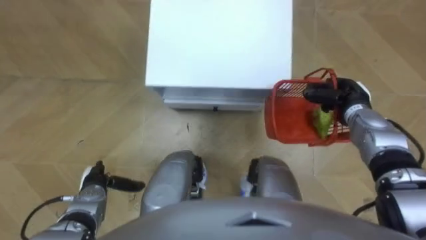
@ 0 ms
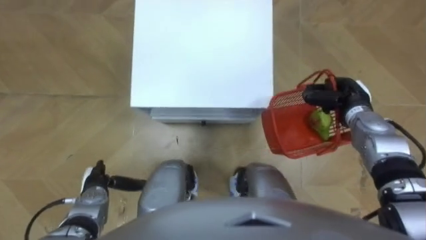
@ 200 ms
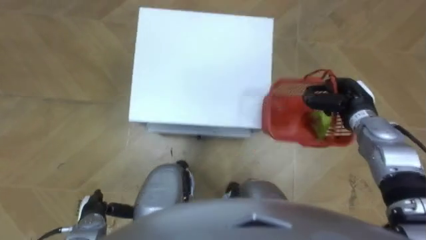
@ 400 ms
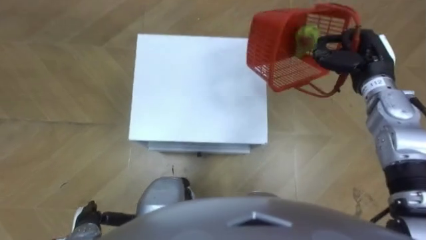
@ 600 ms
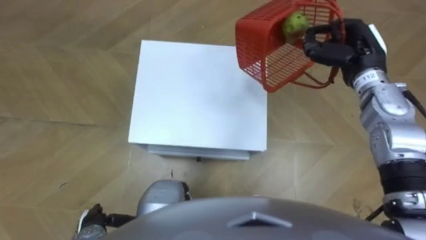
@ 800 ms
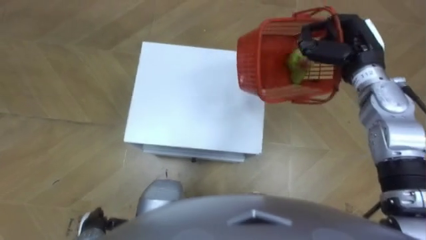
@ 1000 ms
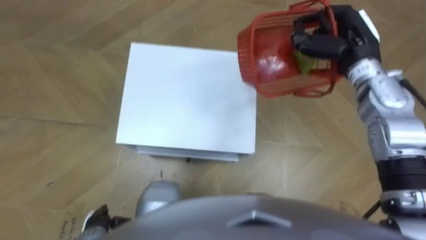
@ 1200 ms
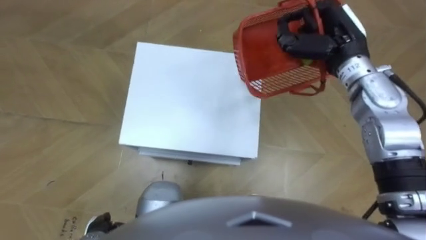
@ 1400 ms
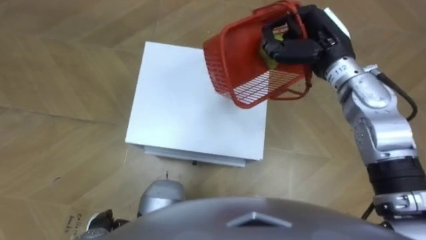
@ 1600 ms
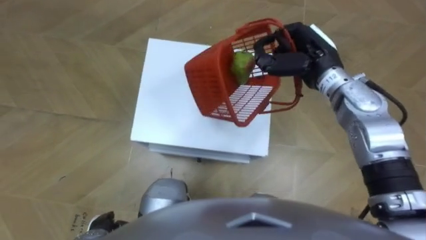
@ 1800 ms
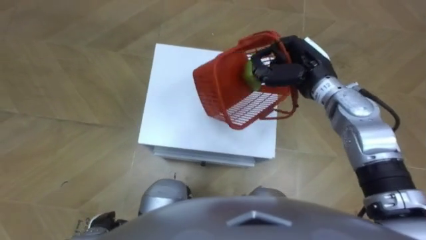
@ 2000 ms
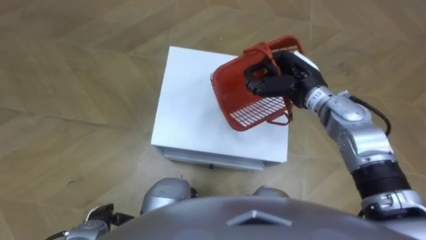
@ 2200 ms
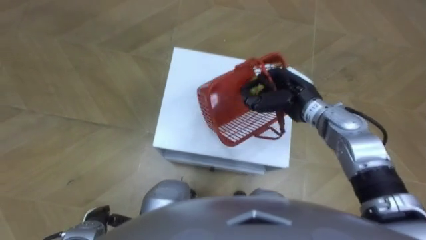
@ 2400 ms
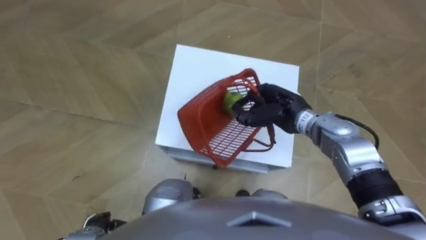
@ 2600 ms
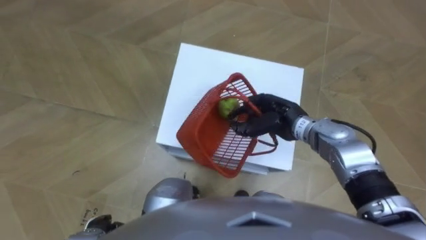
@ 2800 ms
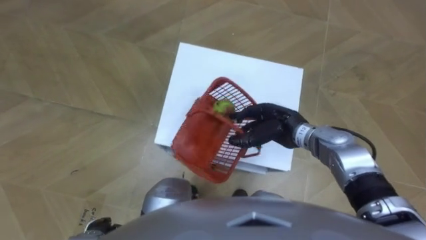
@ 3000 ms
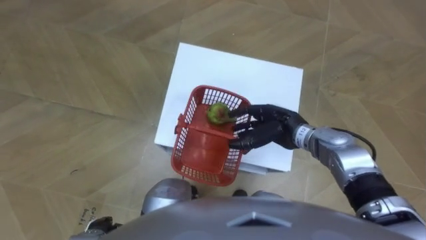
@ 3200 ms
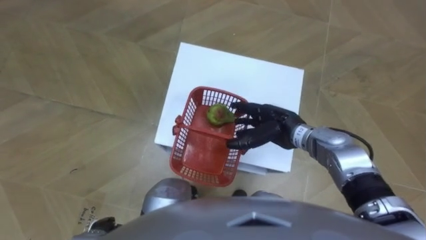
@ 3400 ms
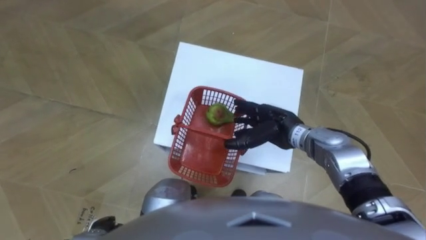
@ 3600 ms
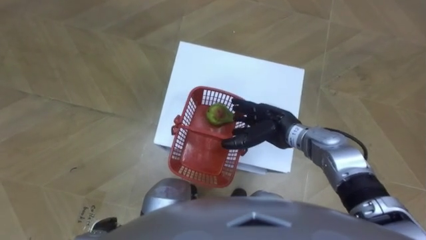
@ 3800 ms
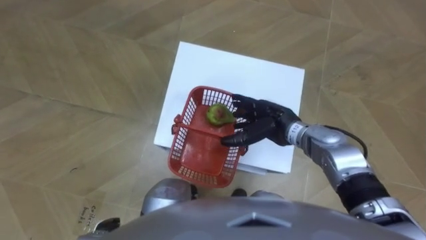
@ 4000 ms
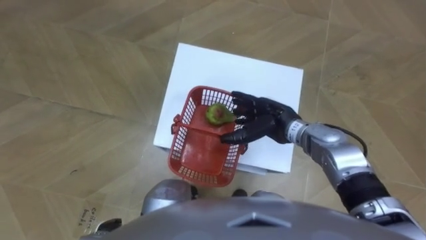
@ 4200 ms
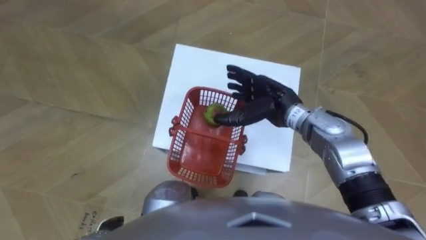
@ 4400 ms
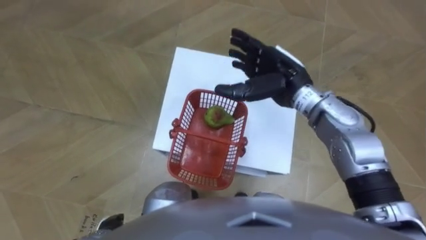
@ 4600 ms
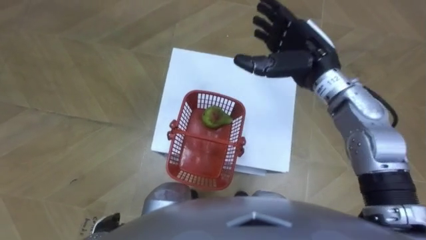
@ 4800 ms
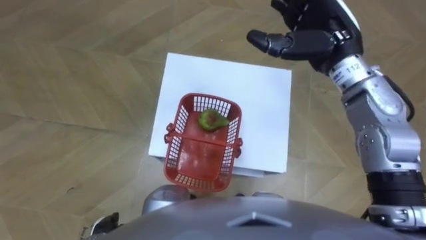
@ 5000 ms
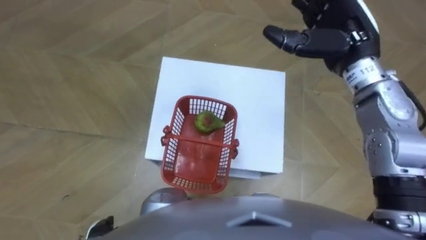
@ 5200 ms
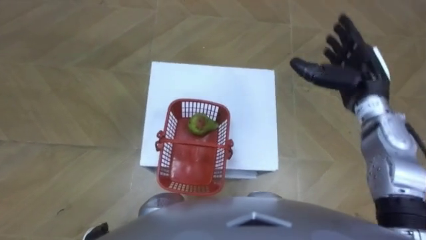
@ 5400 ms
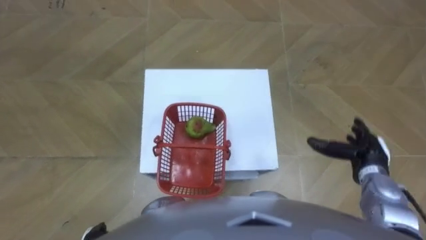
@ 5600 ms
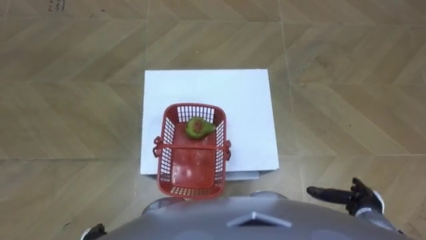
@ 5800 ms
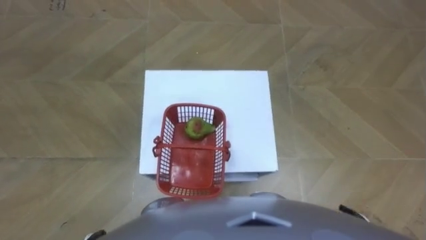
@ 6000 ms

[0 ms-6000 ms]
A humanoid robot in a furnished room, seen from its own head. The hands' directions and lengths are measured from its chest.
Task of the whole recording: Pick up the fruit basket from the floor and place it on the cabinet.
0 ms to 1600 ms: The left hand shifts roughly 10 cm backward. Meanwhile the right hand shifts approximately 20 cm upward and to the left.
1600 ms to 3000 ms: The right hand moves downward and backward, some 15 cm, and opens up.
3000 ms to 4400 ms: The right hand moves upward, roughly 5 cm, and opens its fingers.
4400 ms to 6000 ms: The right hand travels backward, to the right and downward by roughly 35 cm.

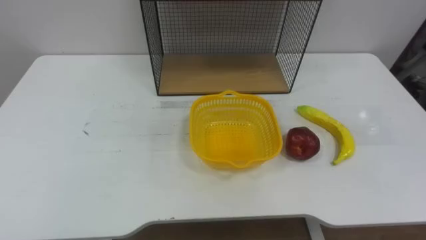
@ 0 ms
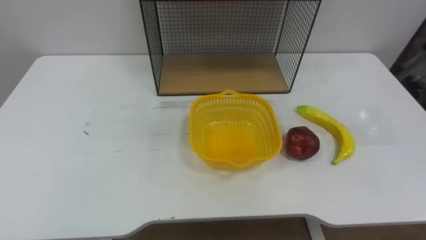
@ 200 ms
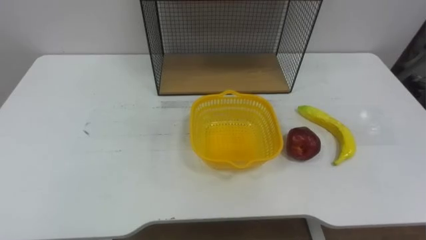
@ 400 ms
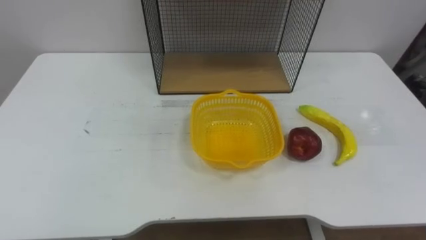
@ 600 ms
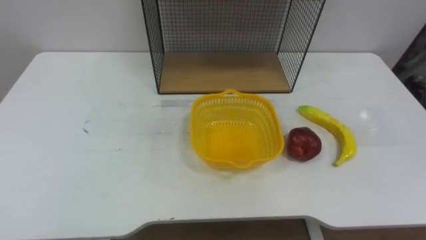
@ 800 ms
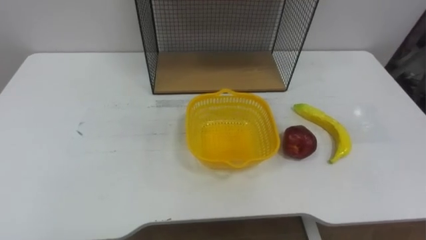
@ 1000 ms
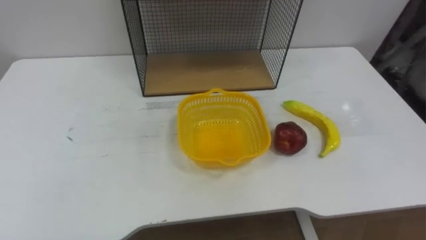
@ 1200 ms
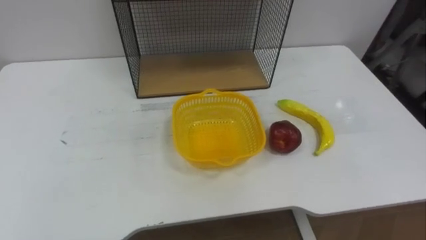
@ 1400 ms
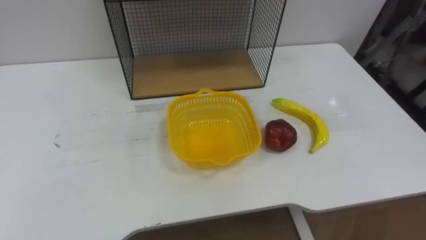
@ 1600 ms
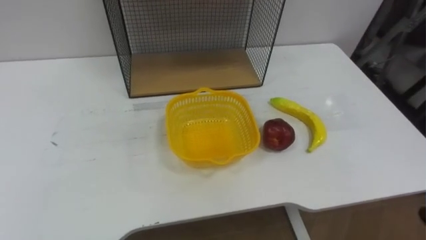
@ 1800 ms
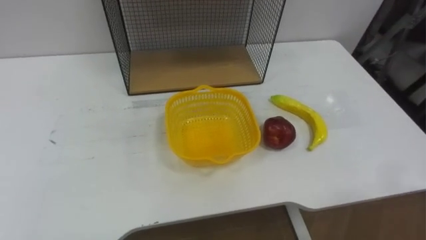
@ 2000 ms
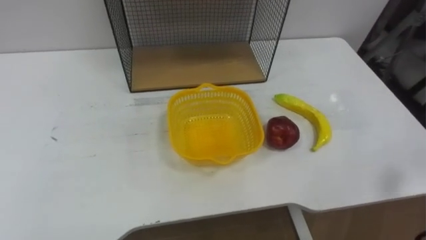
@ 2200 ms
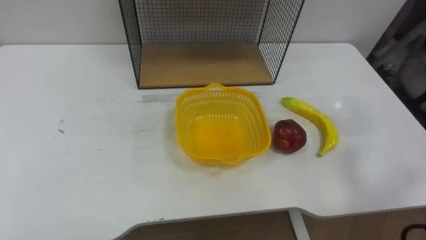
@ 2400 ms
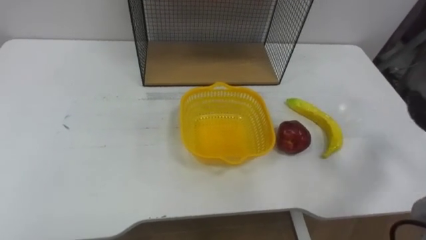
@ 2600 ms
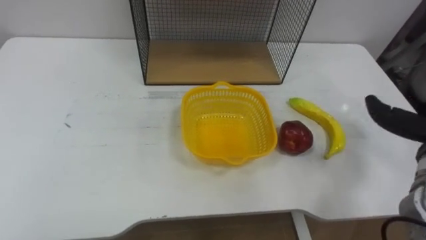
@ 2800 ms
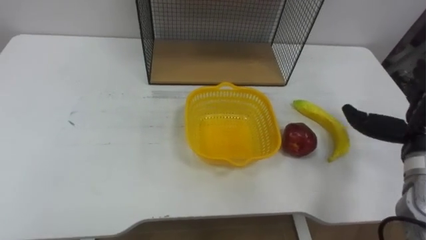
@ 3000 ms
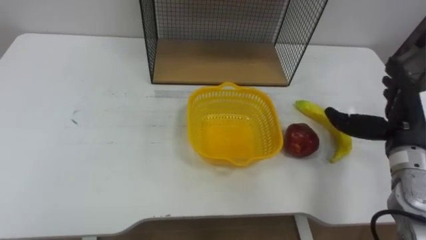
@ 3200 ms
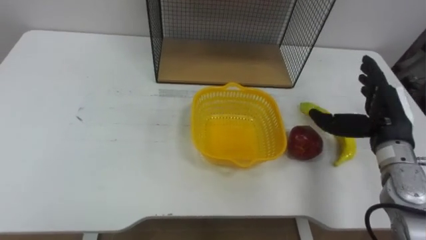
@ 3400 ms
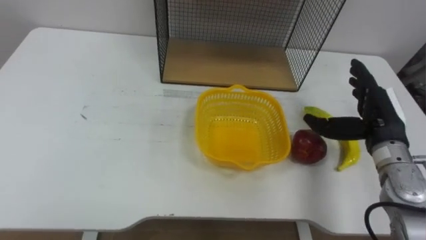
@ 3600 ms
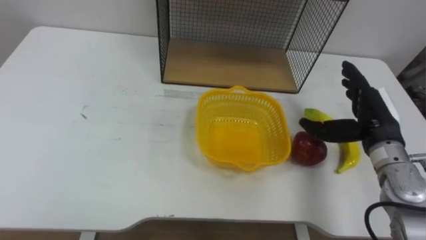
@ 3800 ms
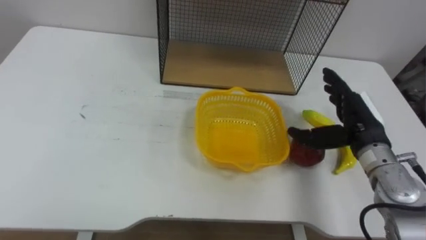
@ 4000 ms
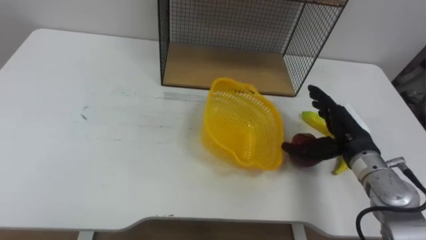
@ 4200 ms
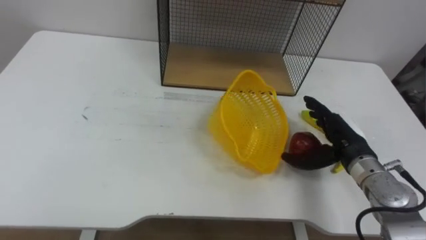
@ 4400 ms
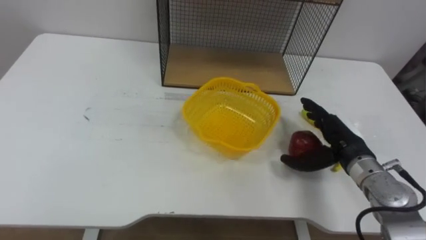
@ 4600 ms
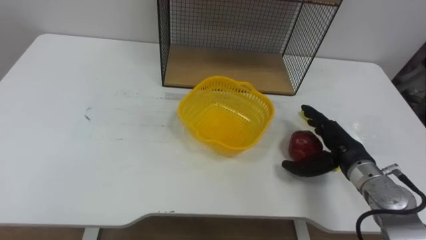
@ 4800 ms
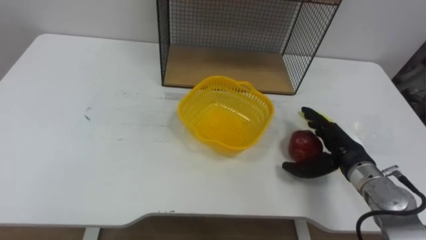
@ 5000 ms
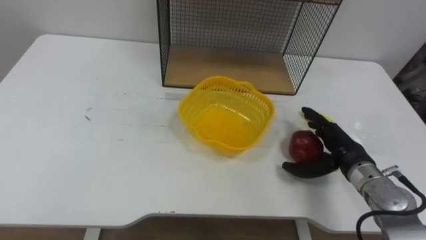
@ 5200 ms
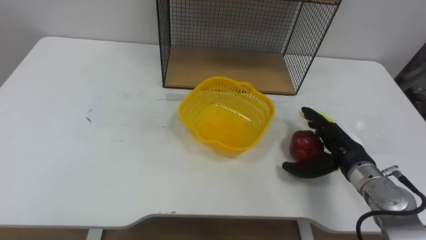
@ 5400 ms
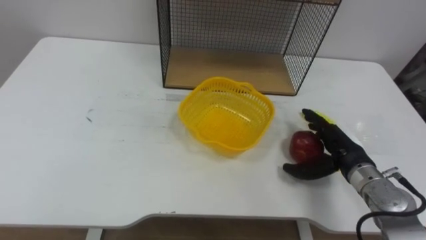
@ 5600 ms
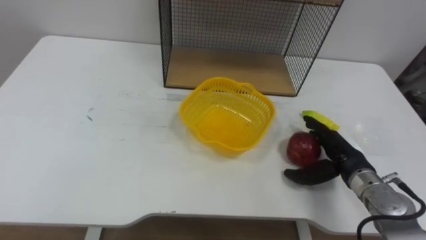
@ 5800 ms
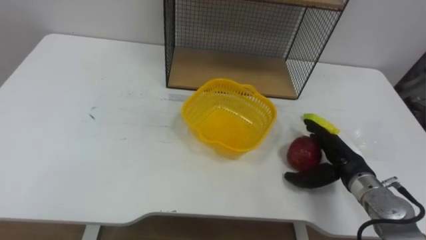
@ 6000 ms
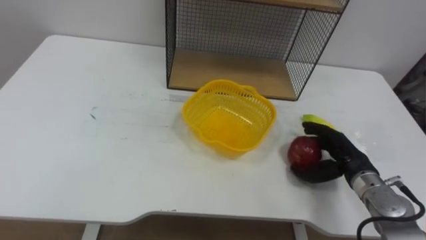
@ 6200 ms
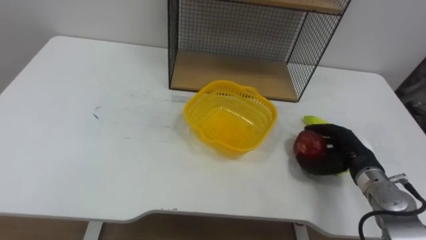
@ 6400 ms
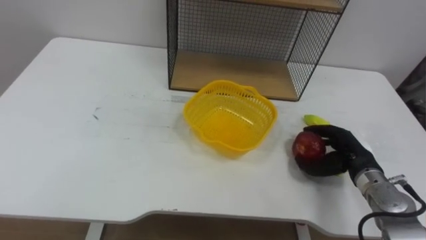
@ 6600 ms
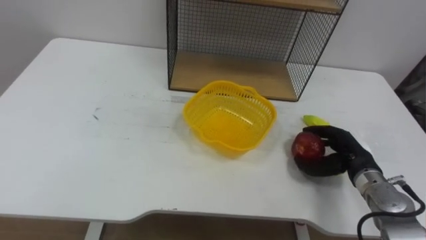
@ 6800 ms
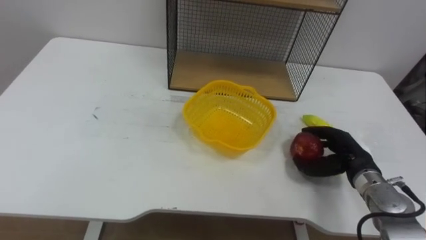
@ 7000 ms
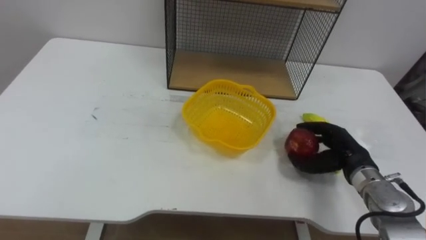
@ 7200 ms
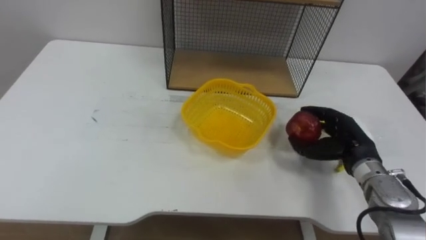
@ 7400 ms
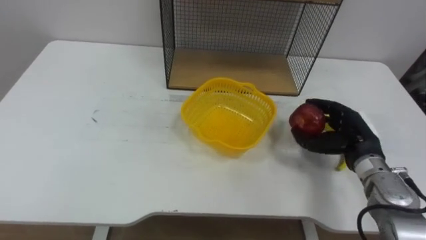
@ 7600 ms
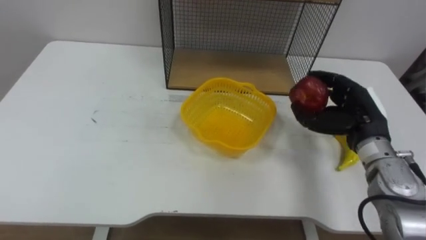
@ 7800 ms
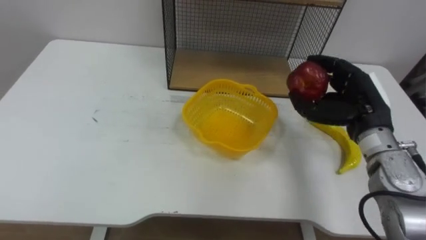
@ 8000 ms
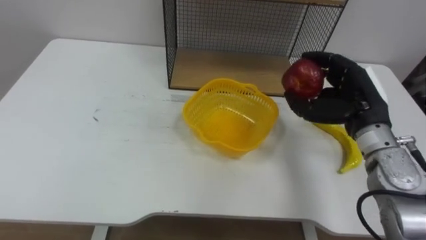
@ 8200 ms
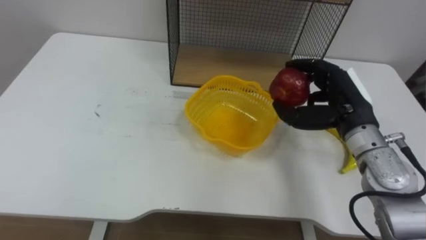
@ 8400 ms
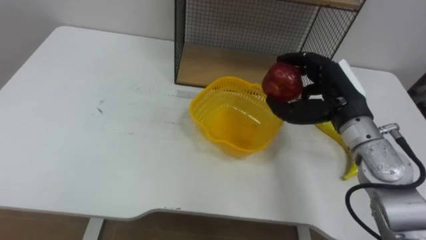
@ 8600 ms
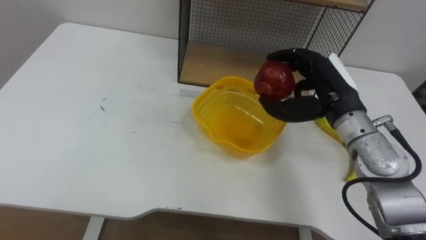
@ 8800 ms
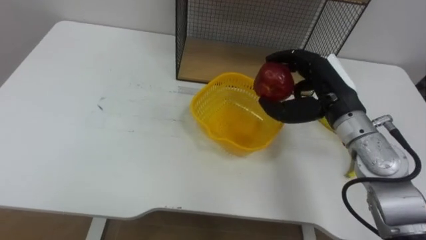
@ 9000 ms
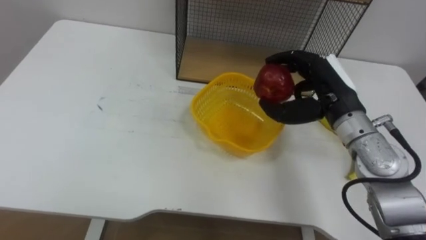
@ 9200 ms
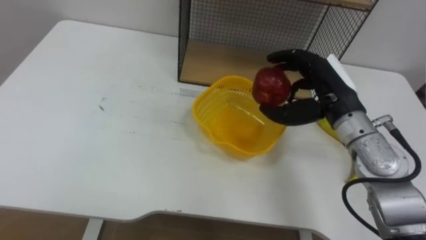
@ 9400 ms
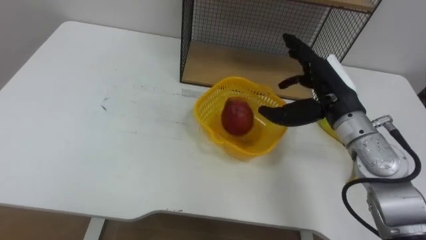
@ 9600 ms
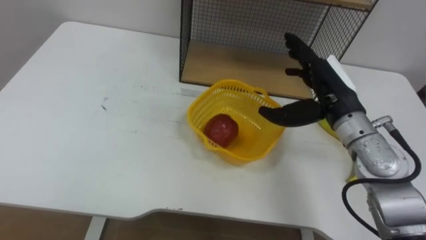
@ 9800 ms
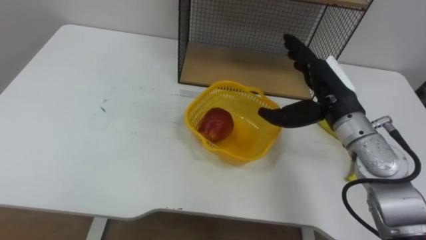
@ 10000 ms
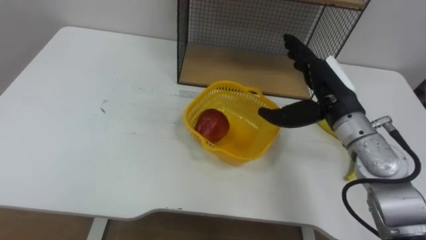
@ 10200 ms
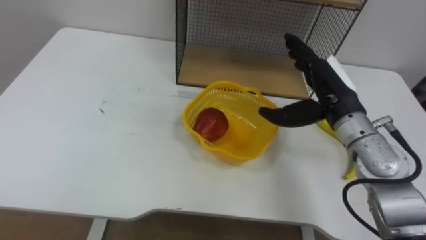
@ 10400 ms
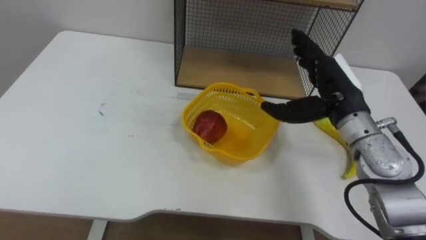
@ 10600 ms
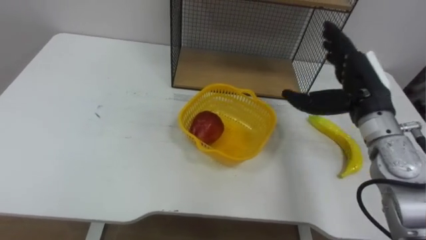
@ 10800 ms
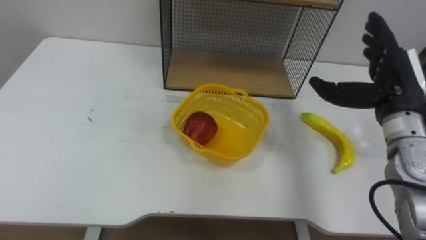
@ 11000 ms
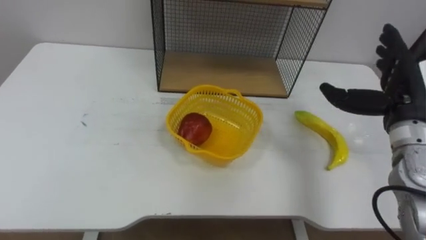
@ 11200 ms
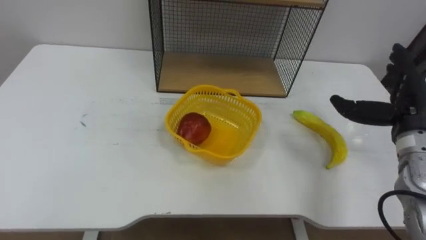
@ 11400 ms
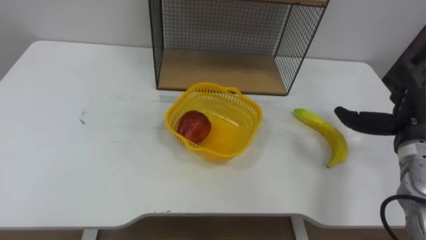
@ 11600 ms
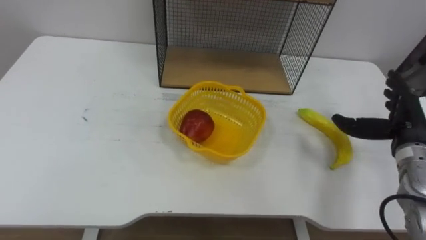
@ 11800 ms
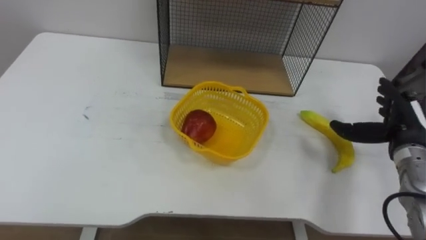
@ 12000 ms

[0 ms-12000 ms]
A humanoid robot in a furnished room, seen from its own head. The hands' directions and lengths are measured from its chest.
Task of the whole recording: Put the fruit on the table into the basket, then place the basket on the shelf.
6000 ms to 7600 ms: The right hand closes.
7600 ms to 9000 ms: The right hand travels upward and to the left by some 15 cm.
9000 ms to 10400 ms: The right hand opens its fingers.
10400 ms to 12000 ms: The right hand is displaced to the right and downward by approximately 15 cm.
